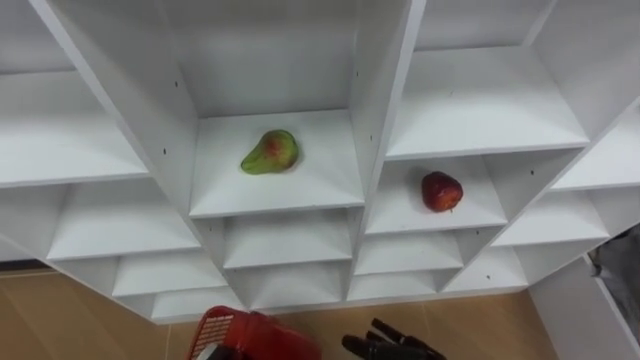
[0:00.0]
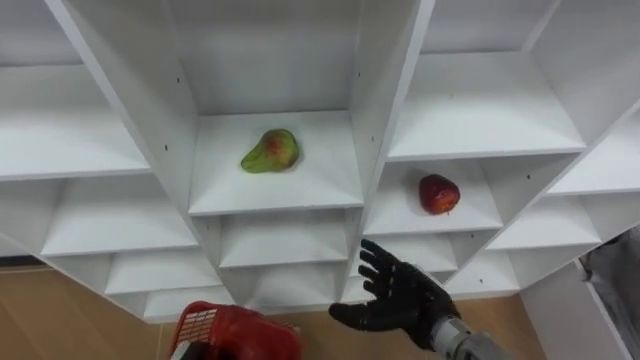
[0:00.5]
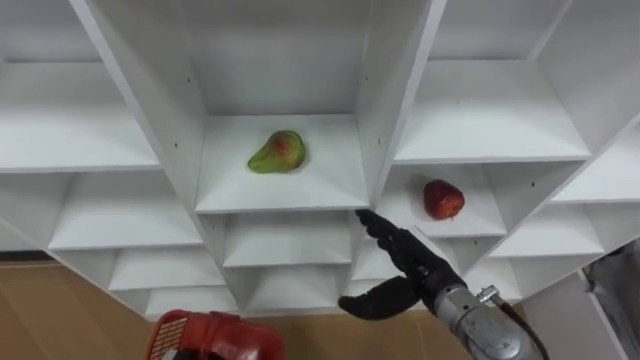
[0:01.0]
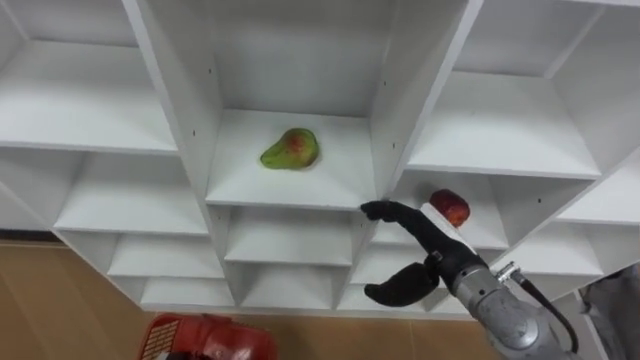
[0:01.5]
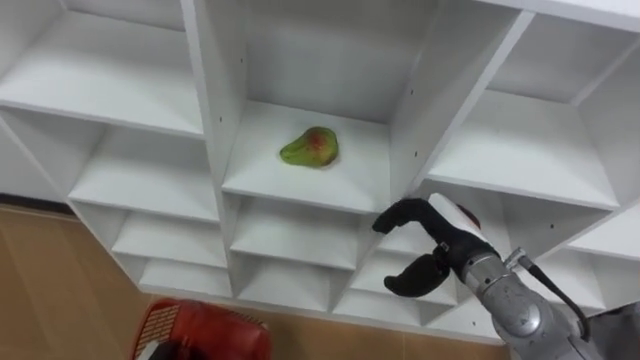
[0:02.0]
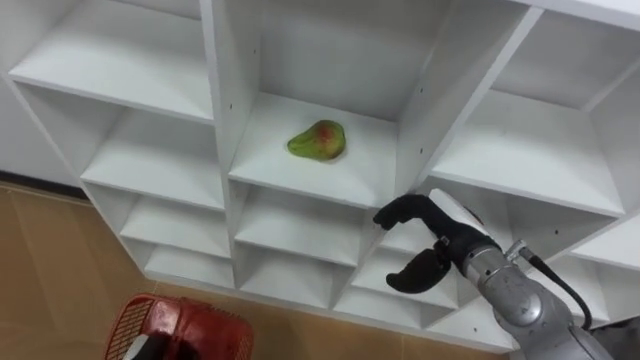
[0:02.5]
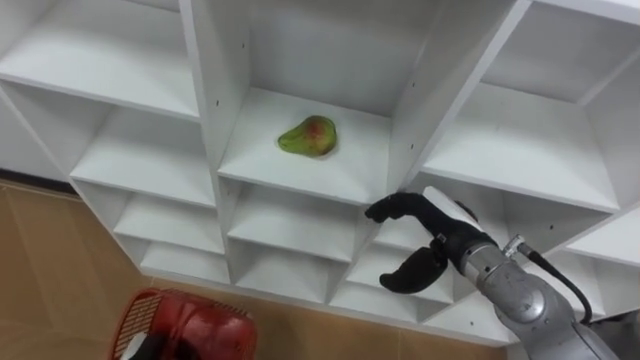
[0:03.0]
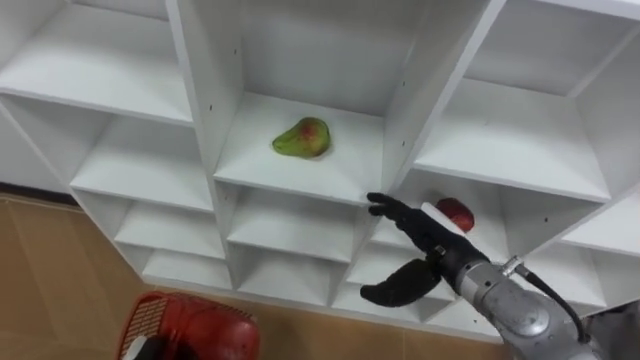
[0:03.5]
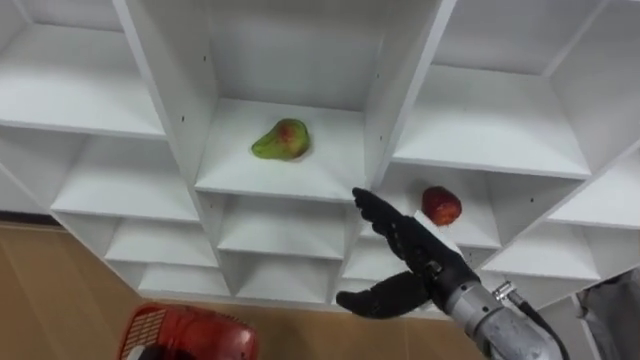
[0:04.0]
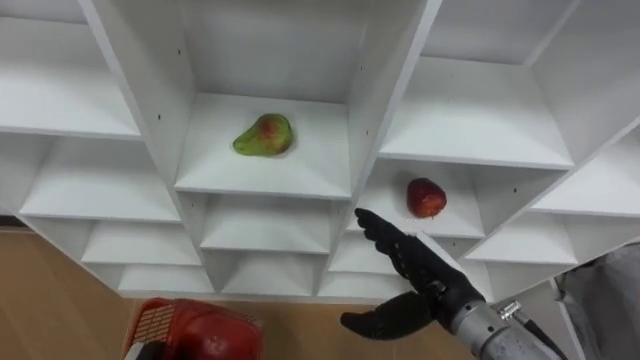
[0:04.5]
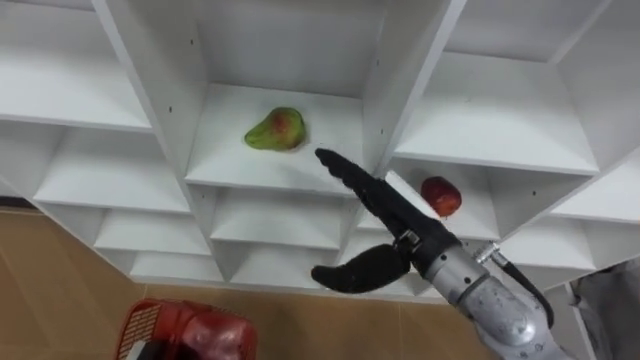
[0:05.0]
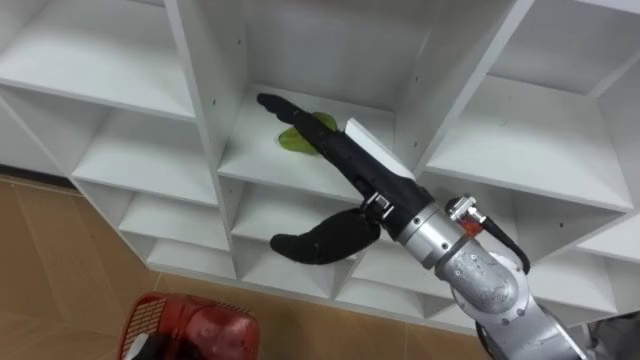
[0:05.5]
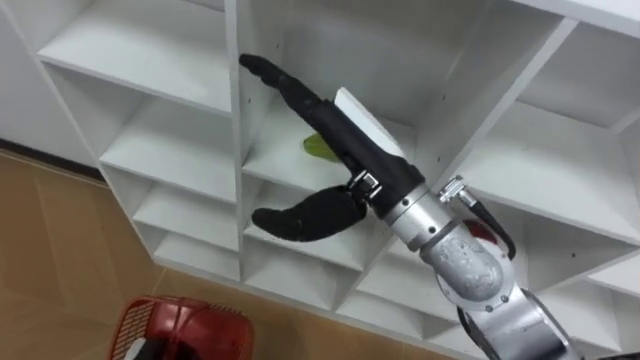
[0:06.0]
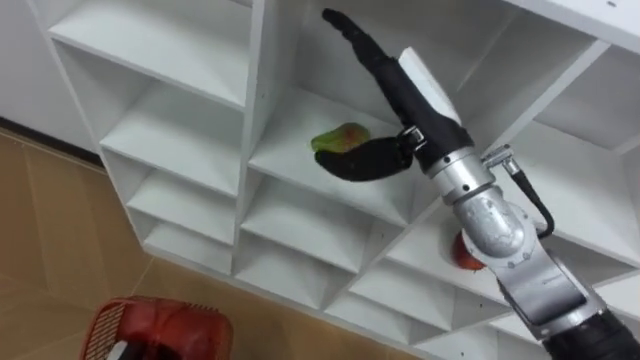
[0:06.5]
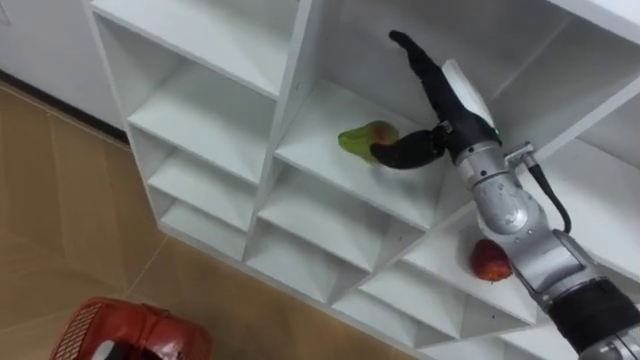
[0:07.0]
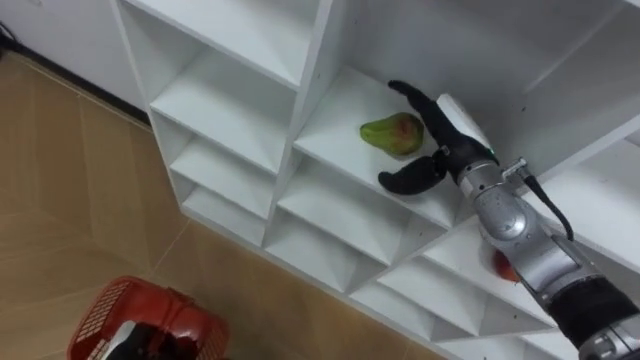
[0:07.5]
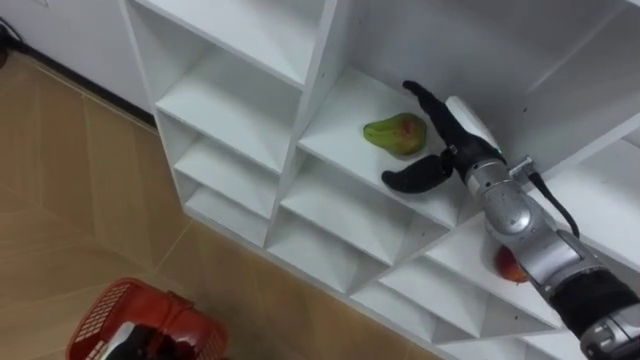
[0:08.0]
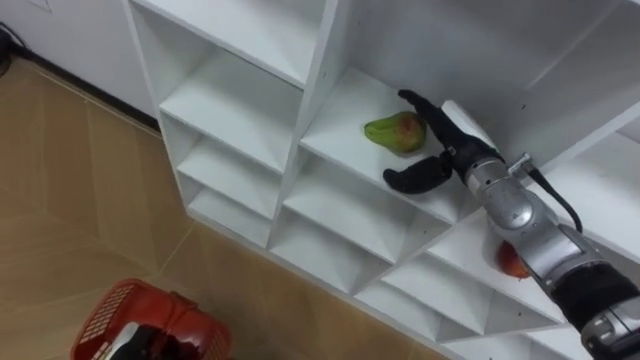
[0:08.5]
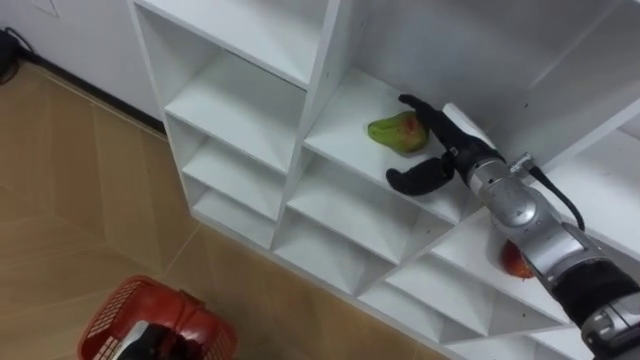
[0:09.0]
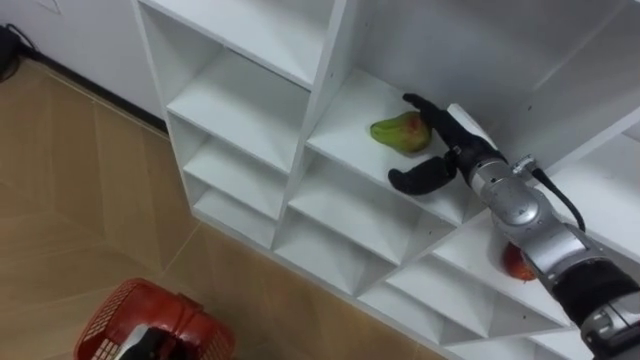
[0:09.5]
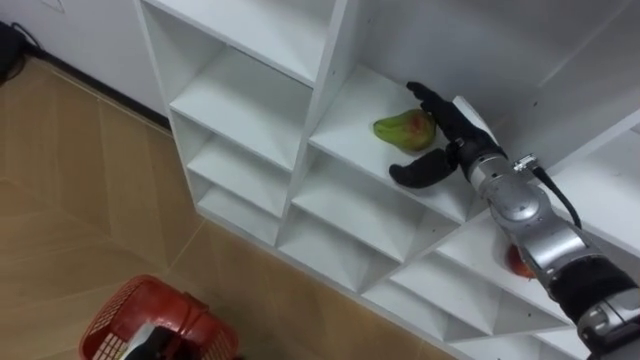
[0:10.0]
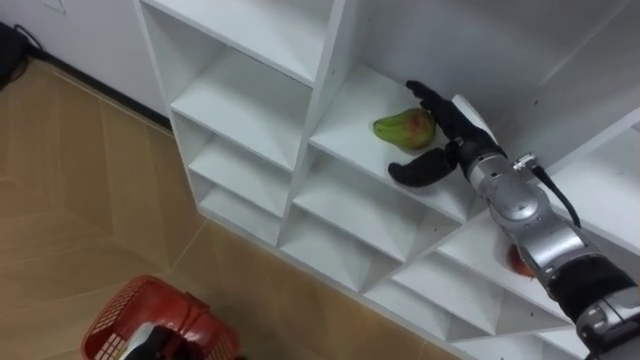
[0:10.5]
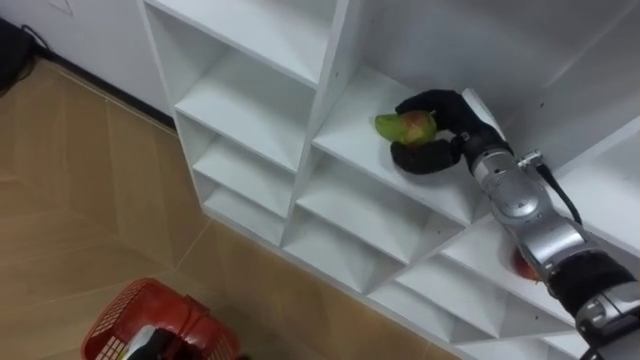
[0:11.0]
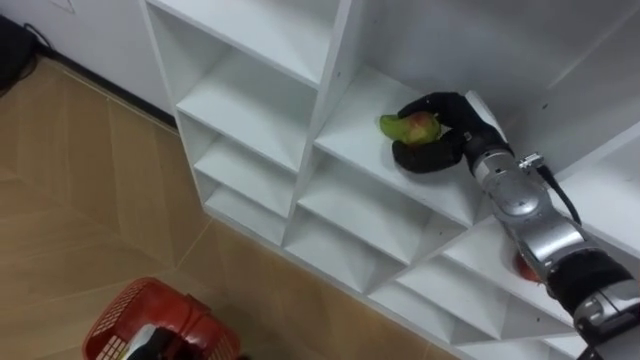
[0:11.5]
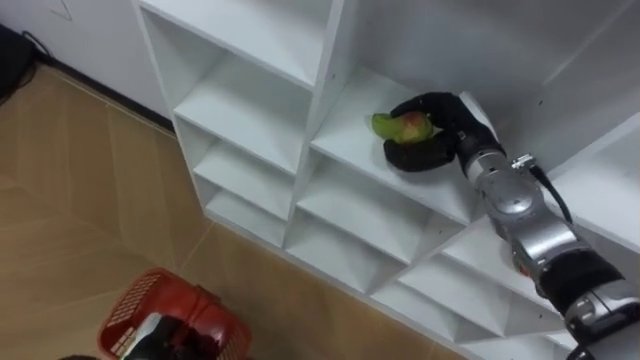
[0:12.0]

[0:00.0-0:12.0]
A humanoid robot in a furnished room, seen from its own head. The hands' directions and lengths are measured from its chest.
Task of the whole recording: Hold the basket and collect the fruits from 3 different cells of the closet into it.
4.0 to 6.0 s: The right hand is displaced upward and to the left by approximately 20 cm.
6.0 to 8.0 s: The right hand travels to the right, downward and forward by approximately 20 cm.
10.0 to 12.0 s: The right hand closes up.

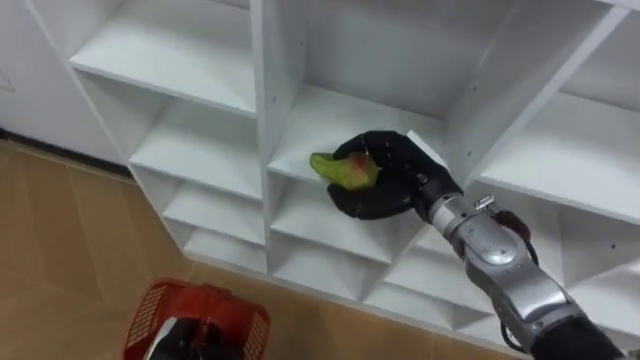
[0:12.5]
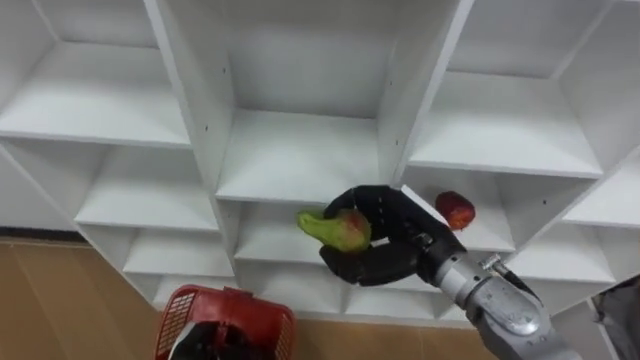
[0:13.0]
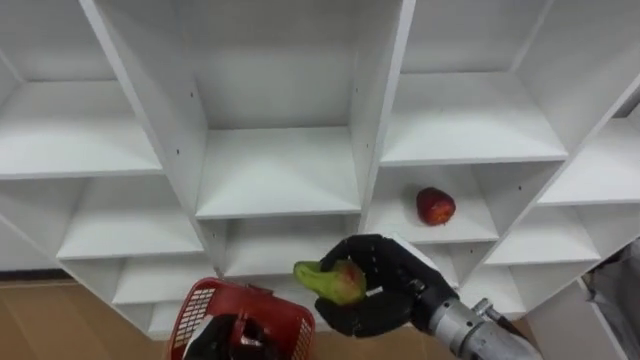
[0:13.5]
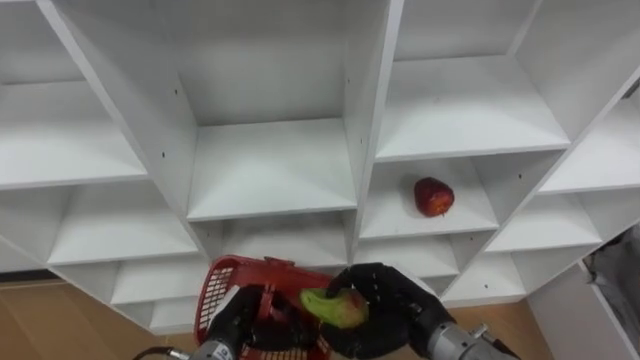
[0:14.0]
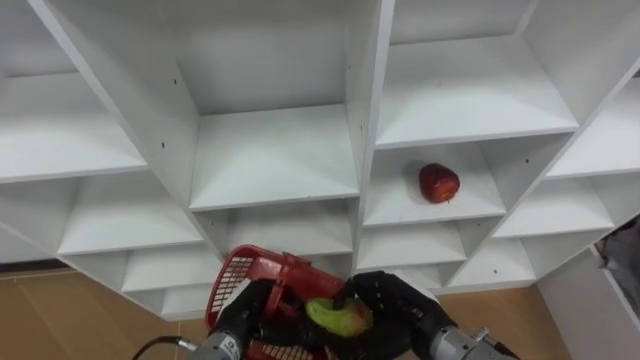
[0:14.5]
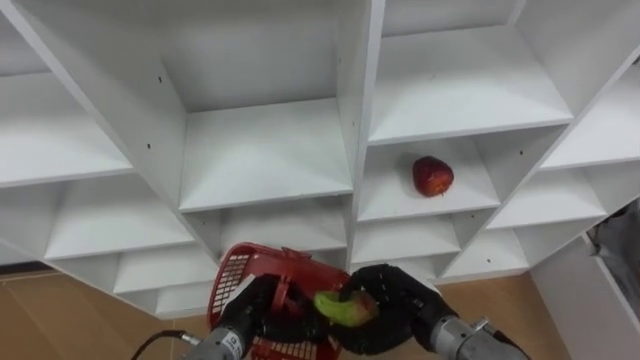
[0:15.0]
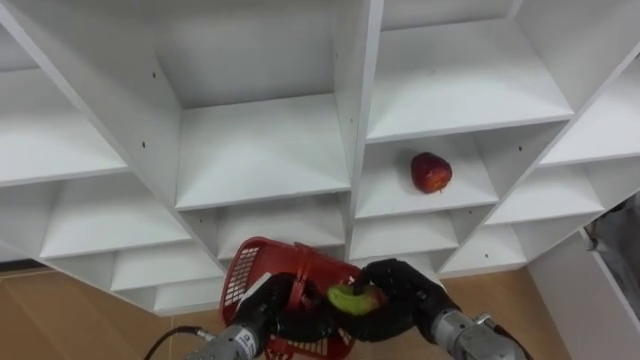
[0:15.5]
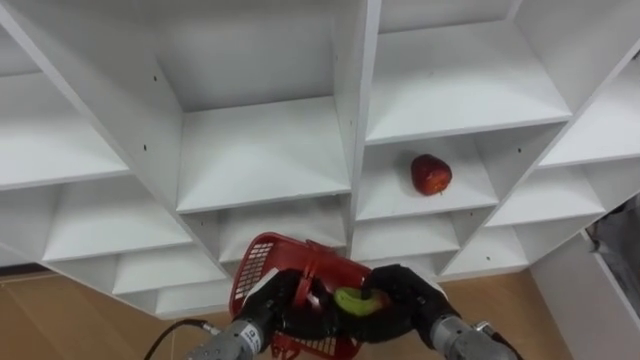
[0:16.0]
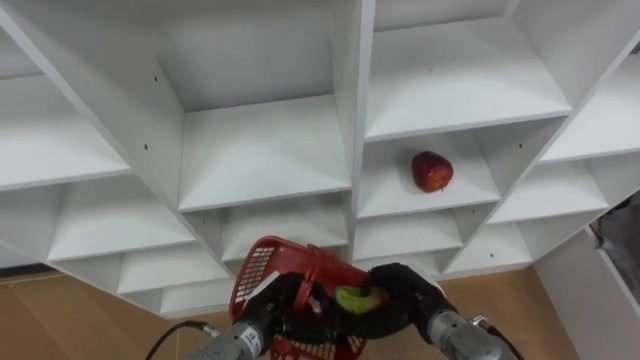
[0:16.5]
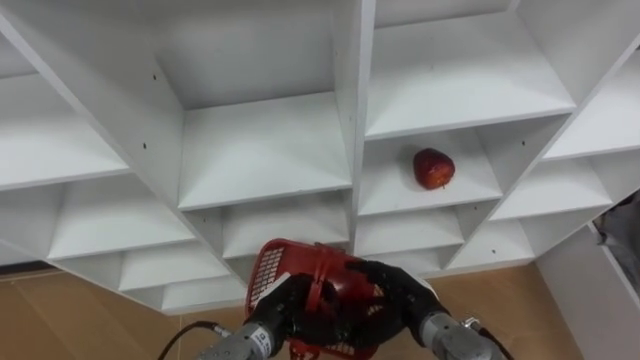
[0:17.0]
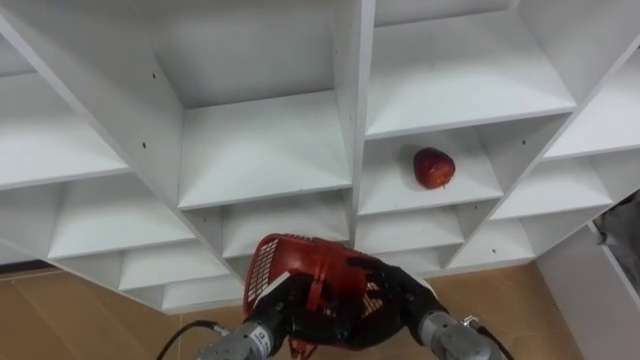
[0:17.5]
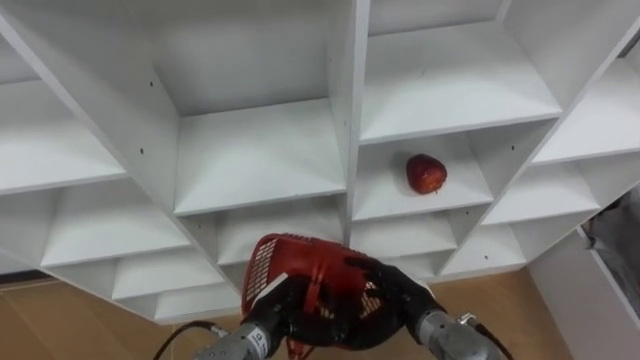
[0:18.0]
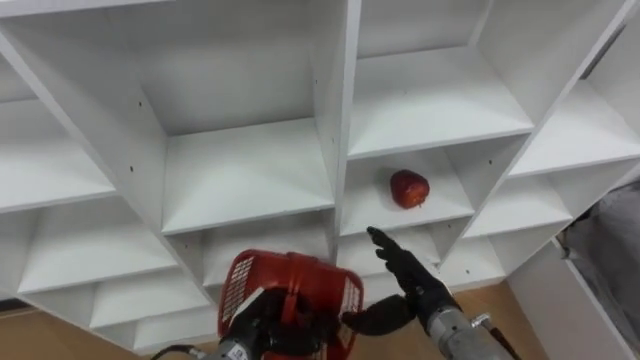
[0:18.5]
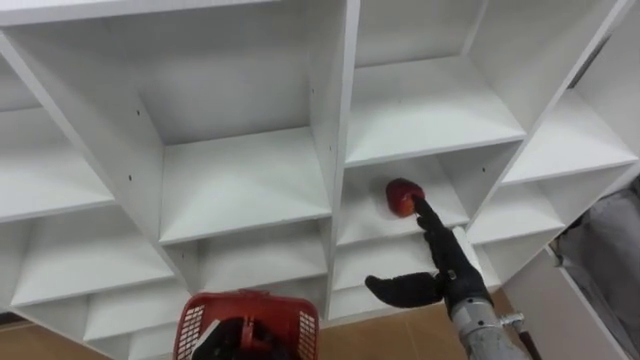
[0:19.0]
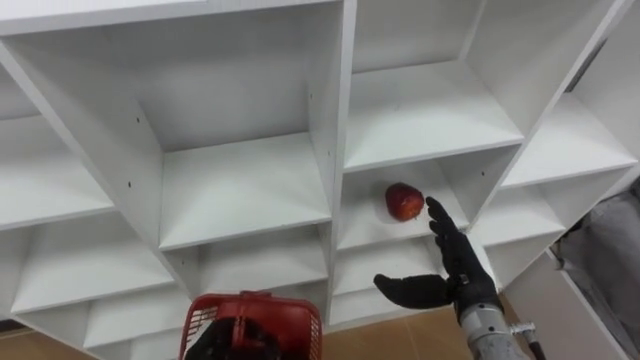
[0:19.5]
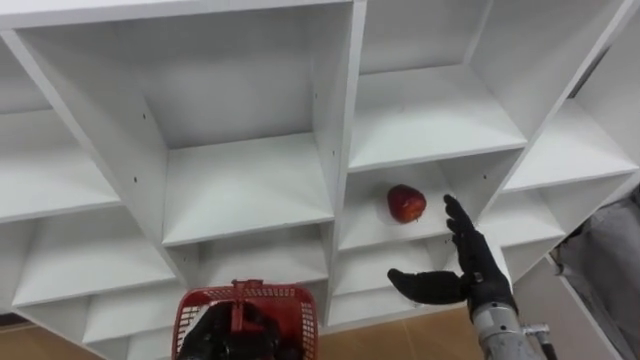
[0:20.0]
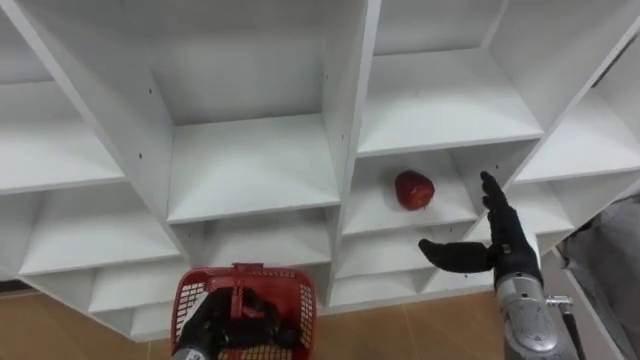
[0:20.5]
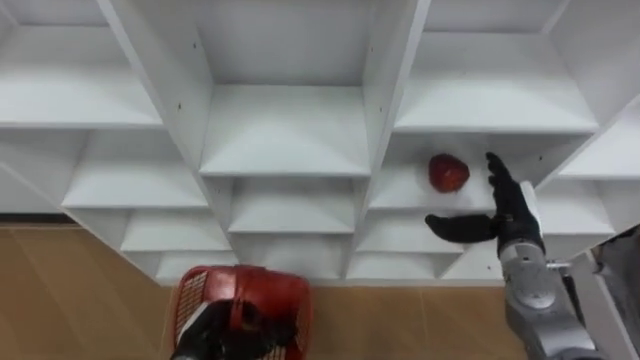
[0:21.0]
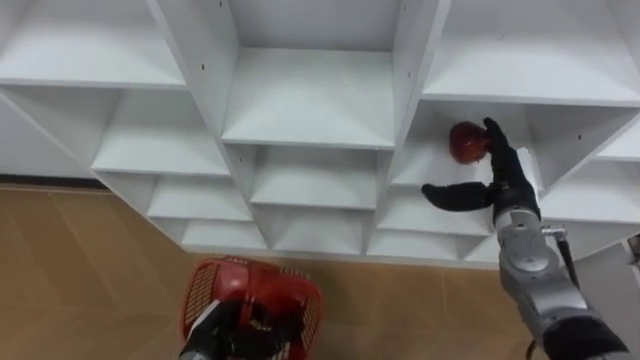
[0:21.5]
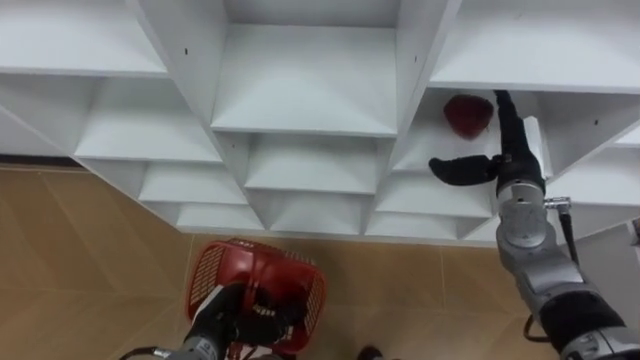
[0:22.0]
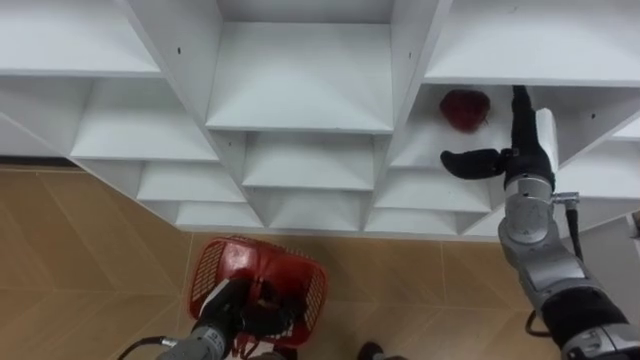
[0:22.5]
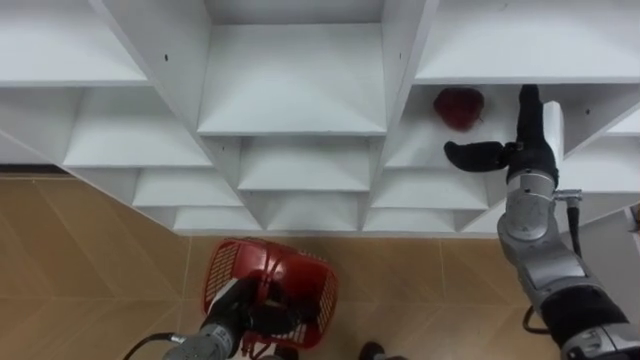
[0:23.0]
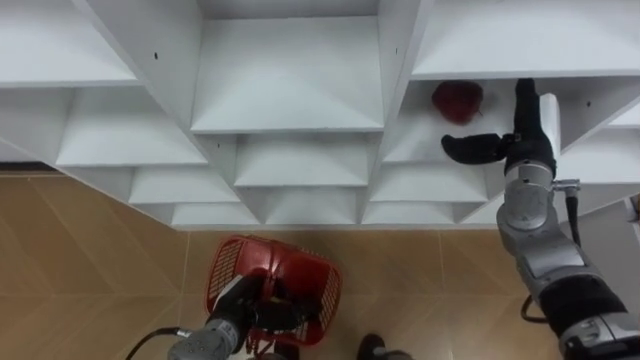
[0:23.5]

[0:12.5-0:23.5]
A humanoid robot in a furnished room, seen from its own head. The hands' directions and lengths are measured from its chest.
Task of the whole recording: Hold the basket and collect the fruits from 3 different cells of the closet into it.
12.5 to 14.5 s: The right hand shifts approximately 20 cm backward and downward, while the left hand travels to the right by approximately 10 cm.
16.0 to 18.0 s: The right hand opens.
18.0 to 20.0 s: The right hand goes roughly 10 cm to the right and upward. The left hand goes approximately 10 cm to the left.
20.0 to 21.5 s: The right hand moves forward, about 10 cm.
21.5 to 23.5 s: The right hand travels upward by approximately 5 cm.
